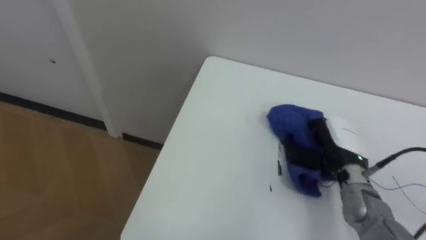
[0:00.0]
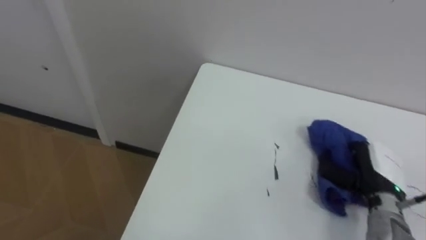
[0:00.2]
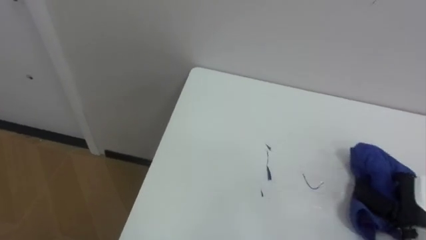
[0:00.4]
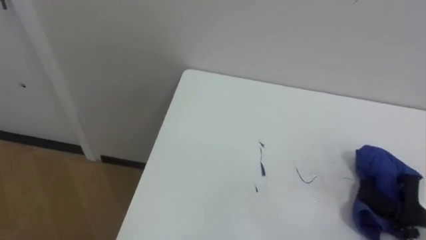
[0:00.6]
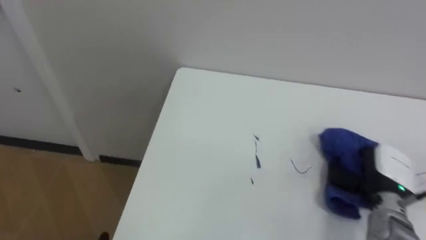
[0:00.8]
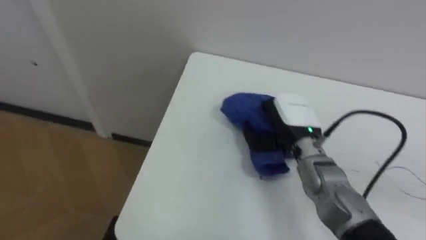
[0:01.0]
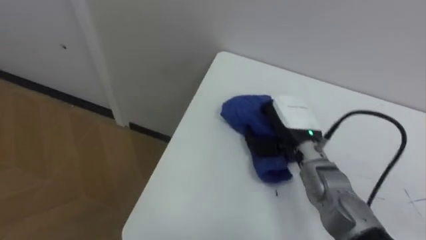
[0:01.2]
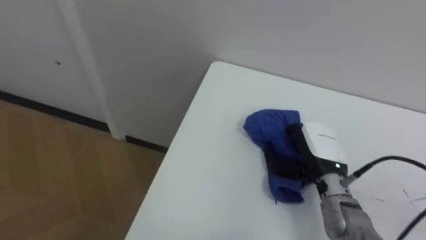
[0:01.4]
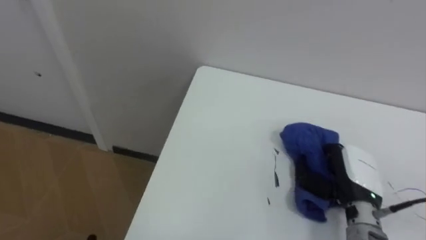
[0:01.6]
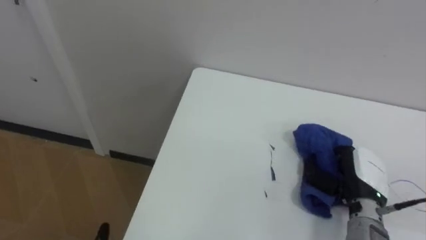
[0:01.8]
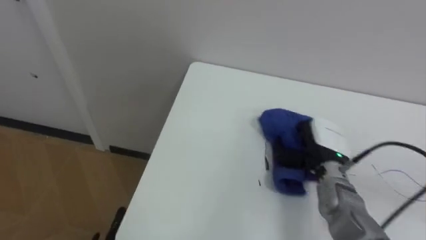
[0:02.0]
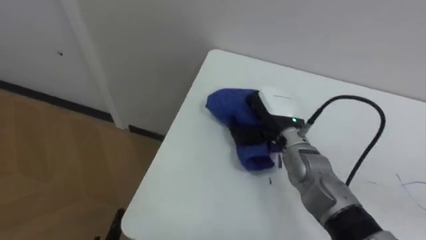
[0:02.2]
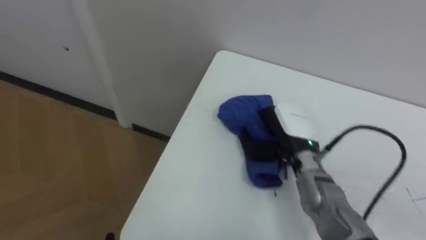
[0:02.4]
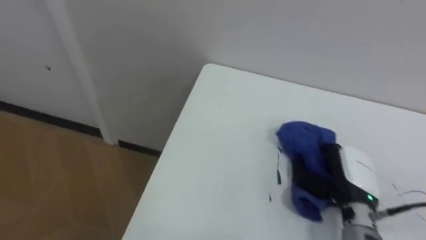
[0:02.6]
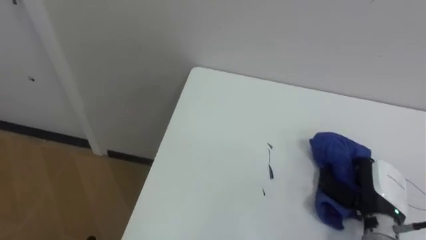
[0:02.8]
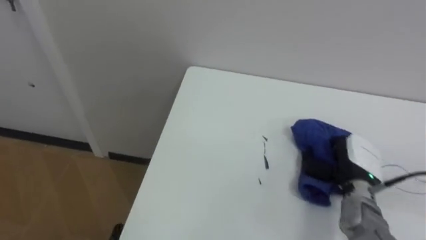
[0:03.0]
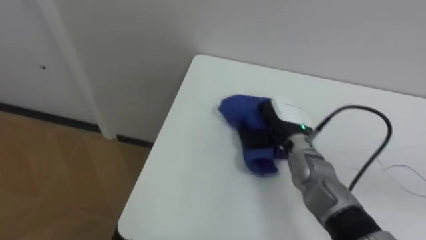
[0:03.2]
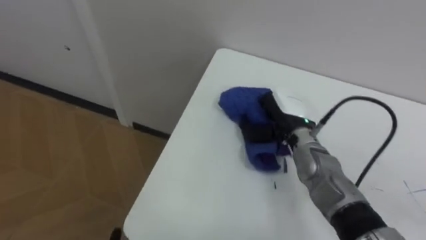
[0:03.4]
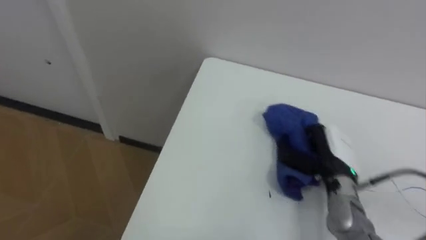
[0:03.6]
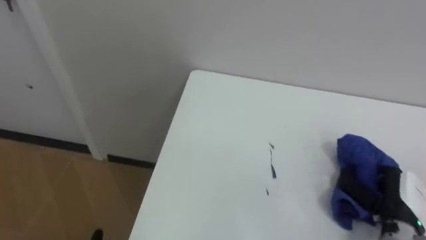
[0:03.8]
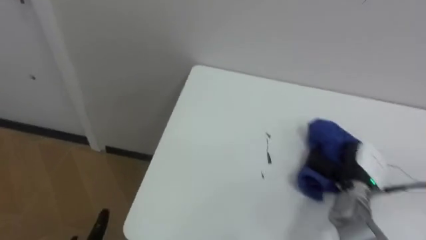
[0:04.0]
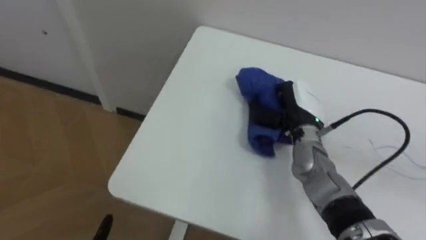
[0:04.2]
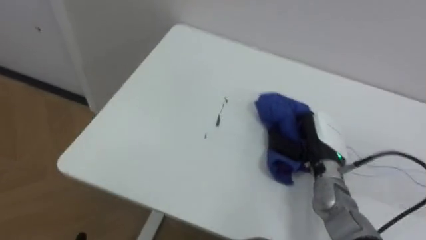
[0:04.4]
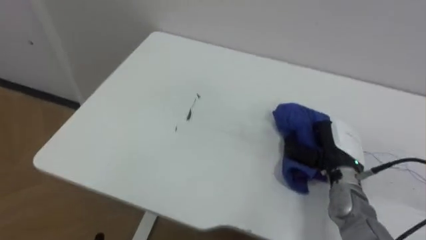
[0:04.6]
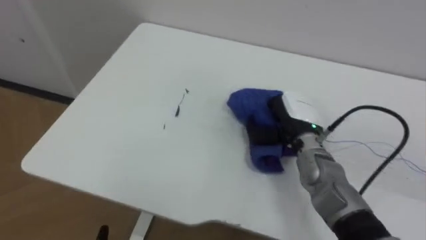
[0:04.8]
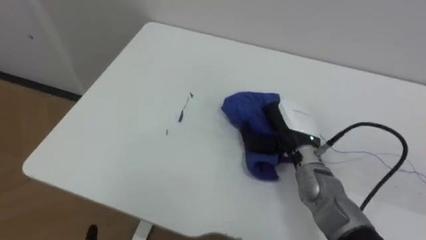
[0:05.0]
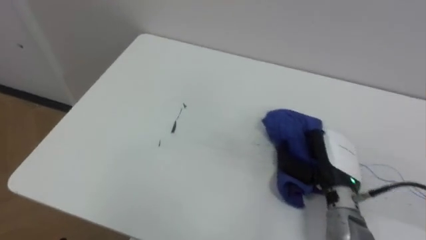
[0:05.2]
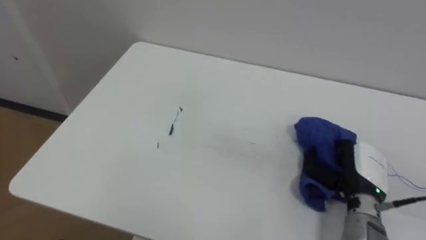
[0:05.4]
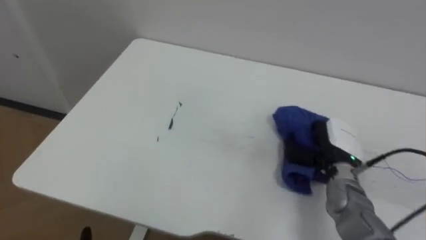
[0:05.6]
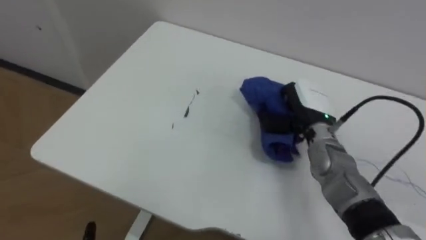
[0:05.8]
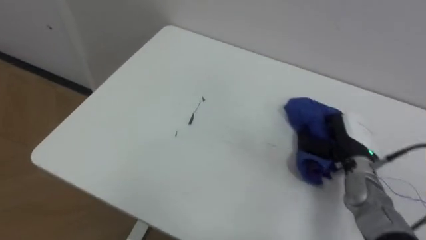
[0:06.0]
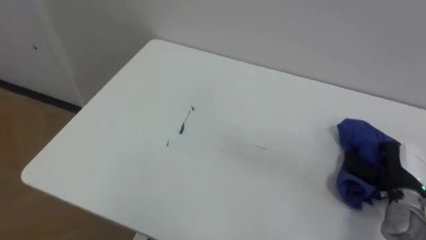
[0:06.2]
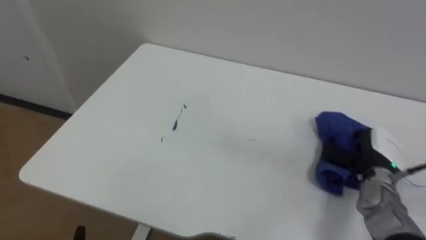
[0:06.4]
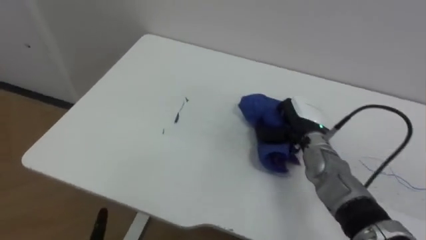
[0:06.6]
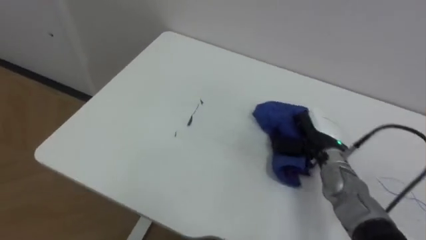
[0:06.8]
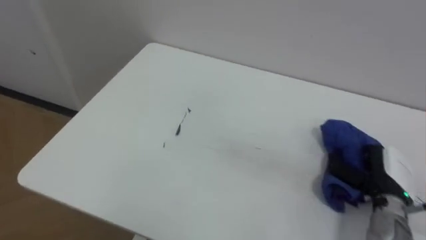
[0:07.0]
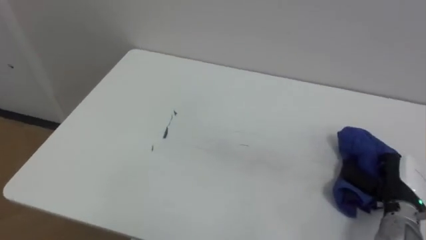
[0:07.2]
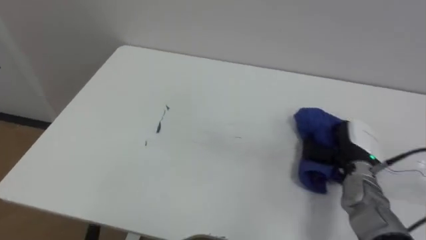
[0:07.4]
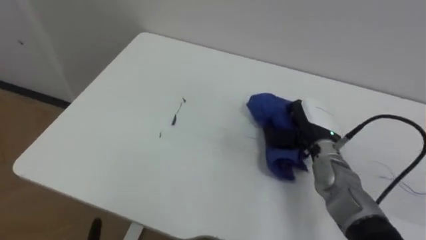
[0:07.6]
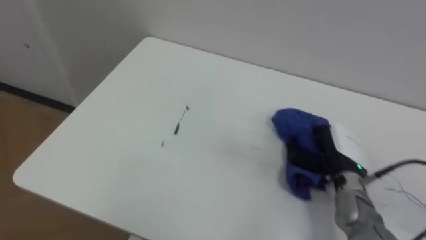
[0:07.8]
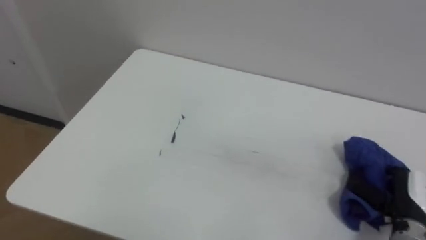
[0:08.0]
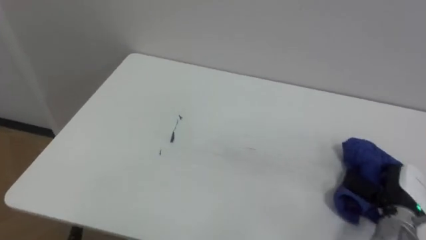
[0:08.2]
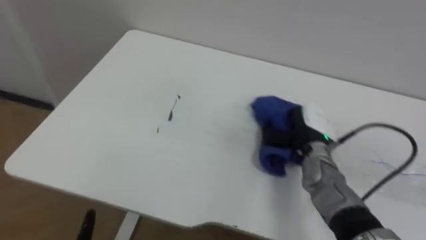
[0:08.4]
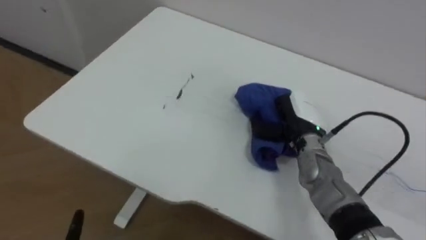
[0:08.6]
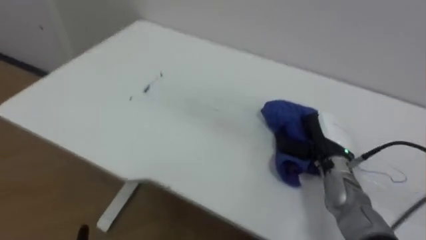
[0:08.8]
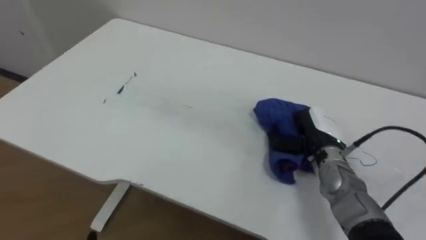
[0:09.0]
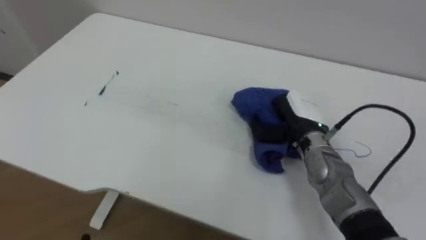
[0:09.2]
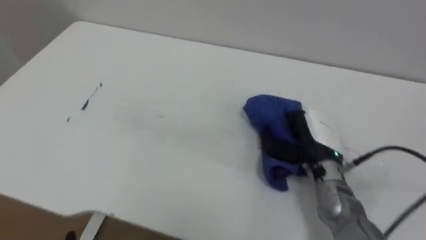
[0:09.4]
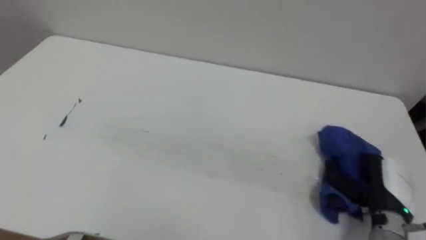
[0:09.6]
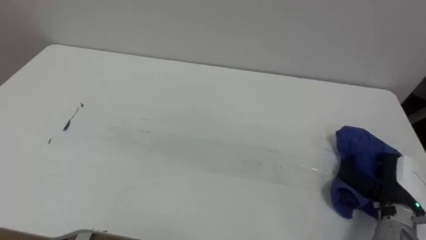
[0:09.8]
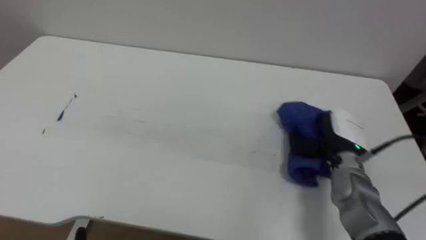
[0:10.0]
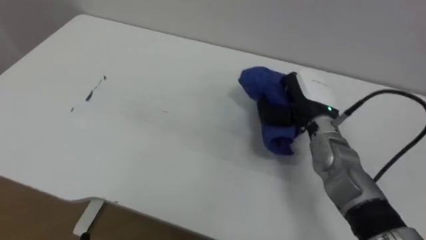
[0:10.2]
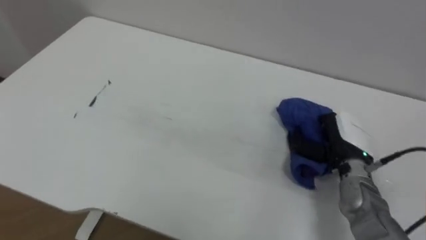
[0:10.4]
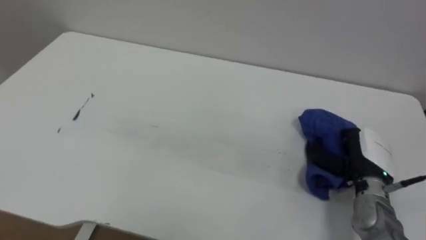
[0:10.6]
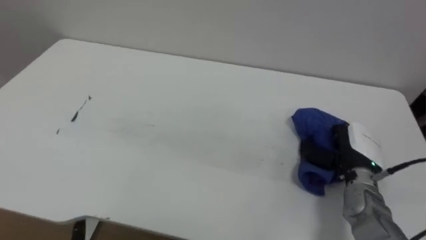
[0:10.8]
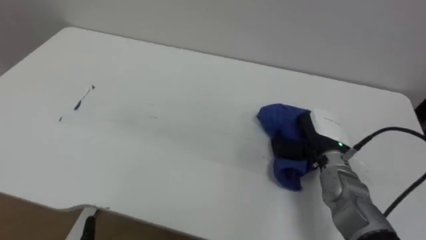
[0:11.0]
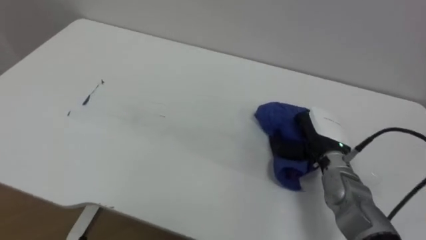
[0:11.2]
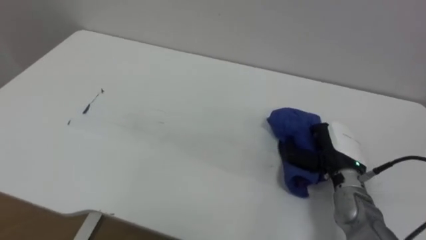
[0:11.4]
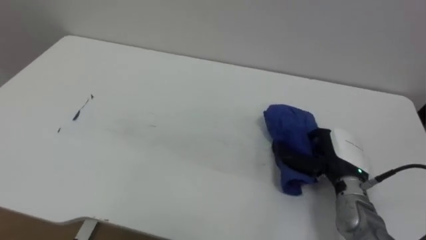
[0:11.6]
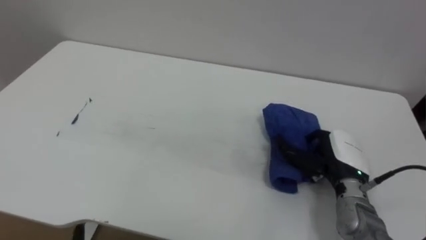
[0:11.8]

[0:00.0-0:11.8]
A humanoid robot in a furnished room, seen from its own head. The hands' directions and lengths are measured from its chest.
Task of the whole recording: Wipe the blue pen marks off the table with the rag.
0:00.0 to 0:01.4: The right hand swings left and right, some 25 cm each way, with 2 reversals.
0:01.4 to 0:03.0: The right hand moves left and right over about 20 cm, changing direction 2 times.
0:03.0 to 0:04.4: The right hand moves left and right over roughly 20 cm, changing direction 3 times.
0:04.4 to 0:06.0: The right hand swings left and right, roughly 10 cm each way, with 3 reversals.
0:06.0 to 0:07.4: The right hand goes left and right, some 20 cm each way, reversing 3 times.
0:07.4 to 0:08.8: The right hand swings left and right, some 20 cm each way, with 3 reversals.
0:08.8 to 0:10.4: The right hand moves left and right over some 15 cm, changing direction 3 times.
0:10.4 to 0:11.8: The right hand goes to the left and returns, some 5 cm each way, and opens its fingers.

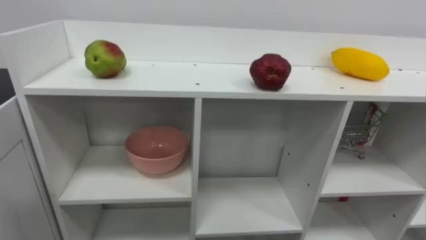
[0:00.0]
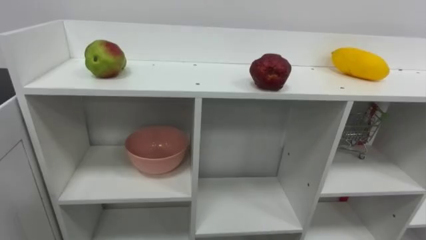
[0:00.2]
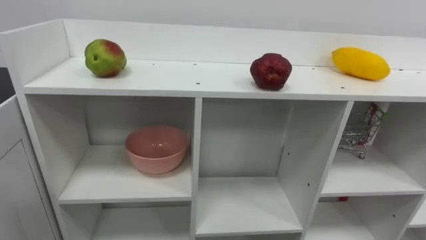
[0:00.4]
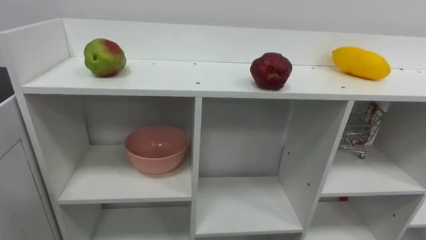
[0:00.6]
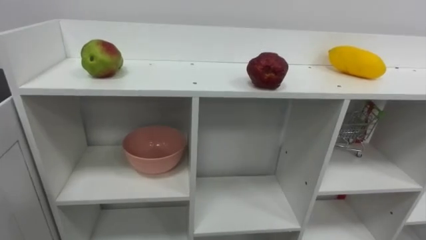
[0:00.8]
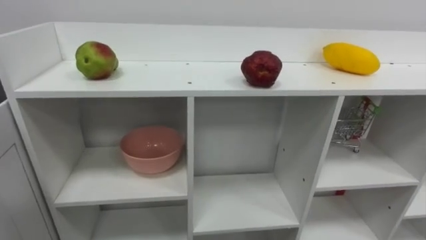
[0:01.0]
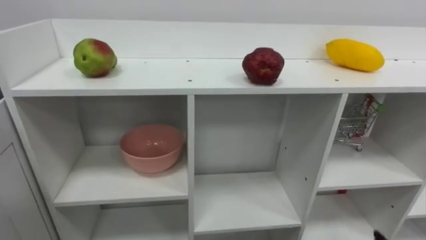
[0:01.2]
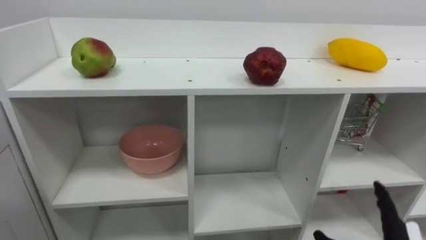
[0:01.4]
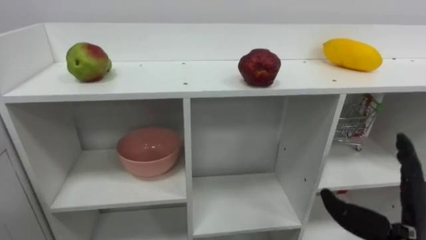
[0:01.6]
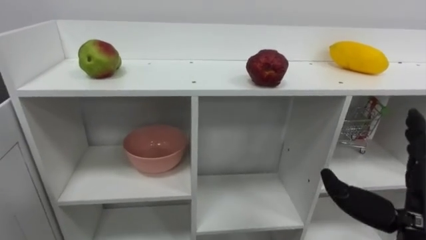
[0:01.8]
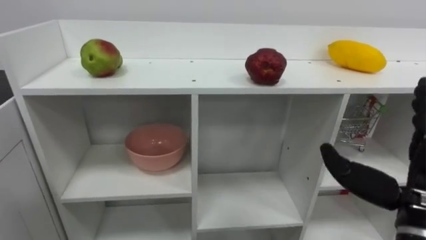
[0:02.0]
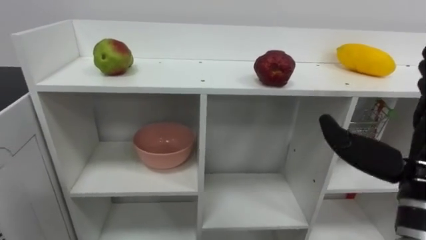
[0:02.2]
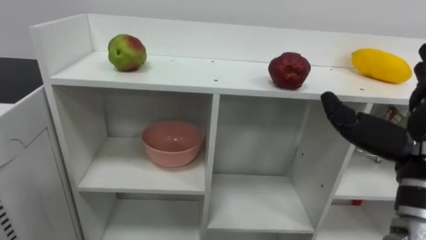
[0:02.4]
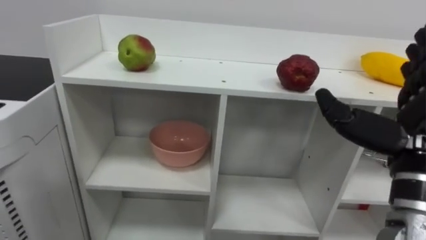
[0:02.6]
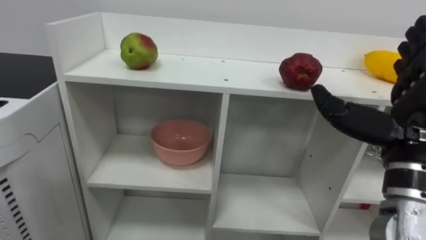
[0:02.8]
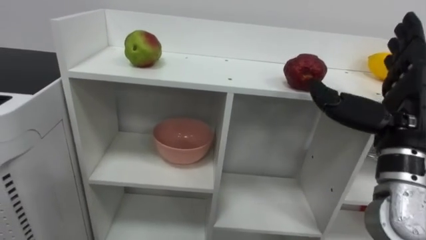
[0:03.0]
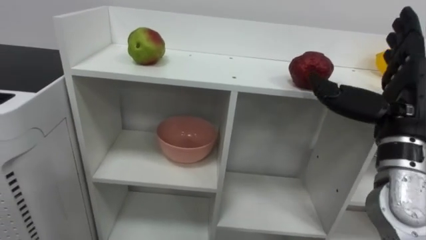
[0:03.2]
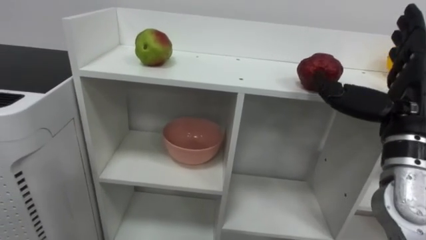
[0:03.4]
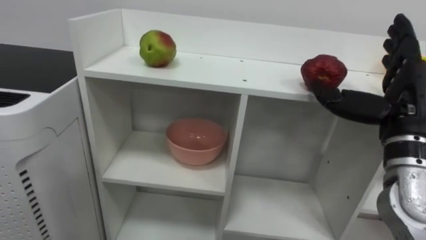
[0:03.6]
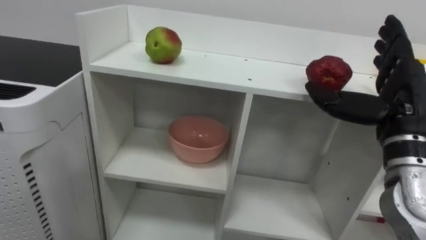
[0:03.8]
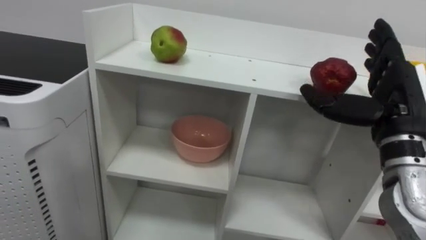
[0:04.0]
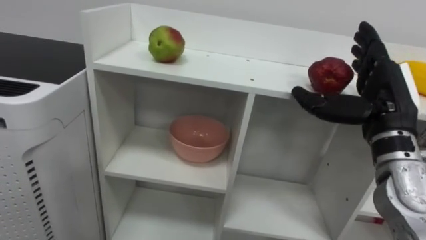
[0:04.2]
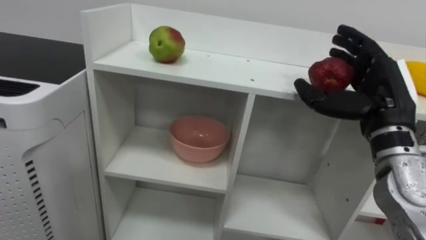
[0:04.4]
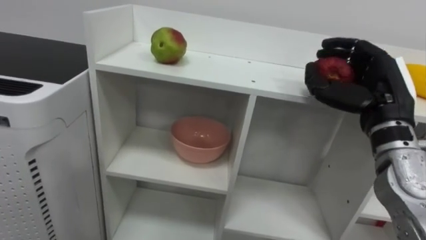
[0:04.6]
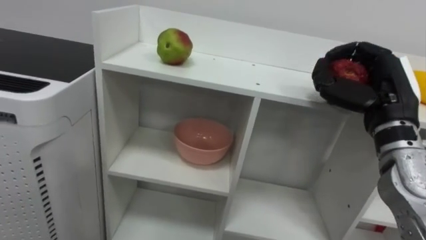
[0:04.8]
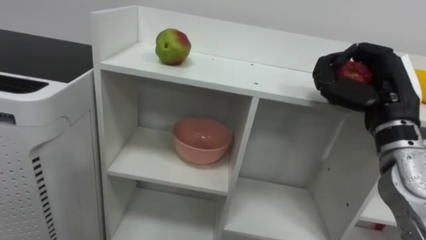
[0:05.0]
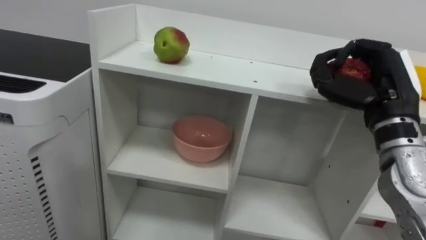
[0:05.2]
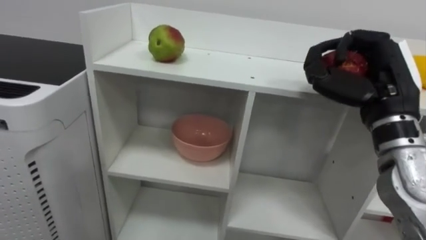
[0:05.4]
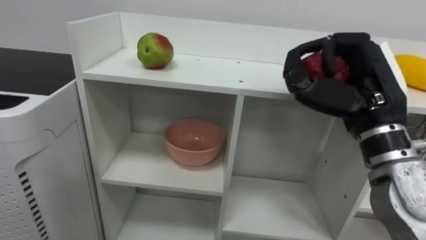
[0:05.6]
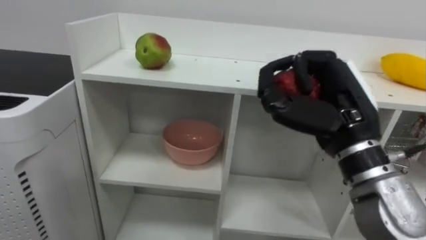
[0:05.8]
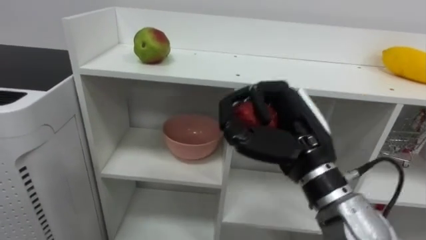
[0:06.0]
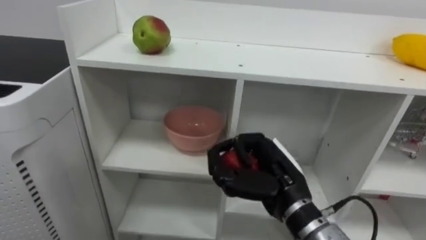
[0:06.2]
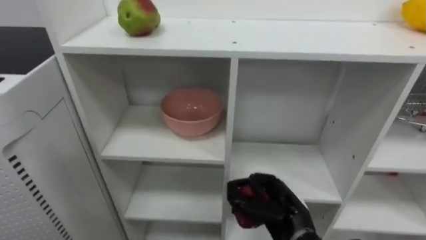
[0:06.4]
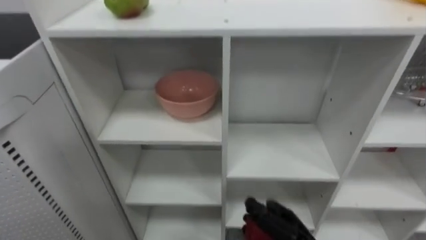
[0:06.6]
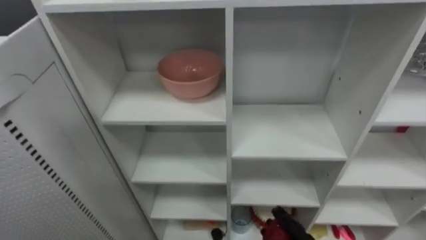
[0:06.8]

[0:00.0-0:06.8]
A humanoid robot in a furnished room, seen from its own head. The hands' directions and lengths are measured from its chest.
Task of the whole recording: Put the apple in the cell in the second column from the left and the second row from the top.
0:02.8 to 0:04.0: The right hand moves forward, roughly 5 cm.
0:04.0 to 0:05.4: The right hand closes its fingers.
